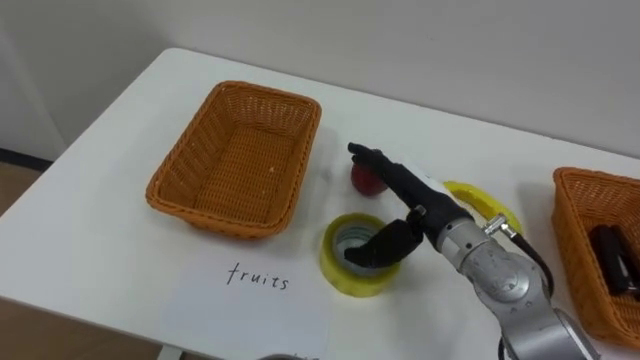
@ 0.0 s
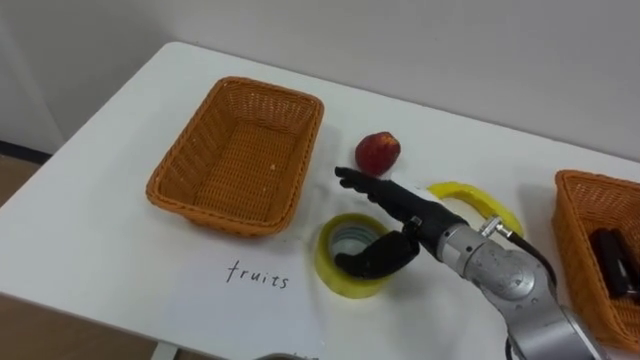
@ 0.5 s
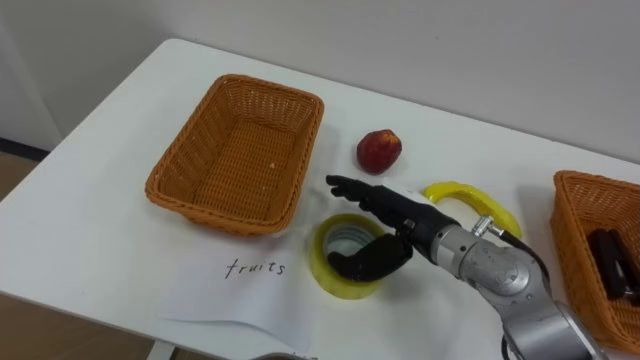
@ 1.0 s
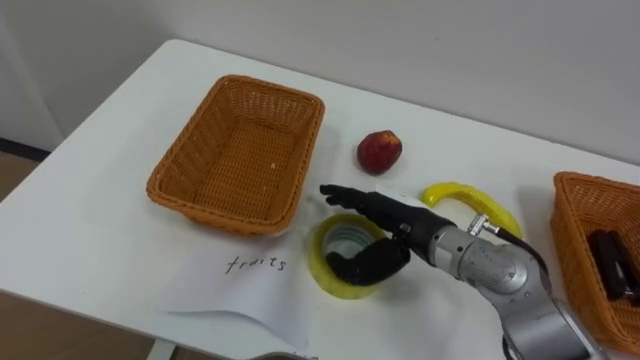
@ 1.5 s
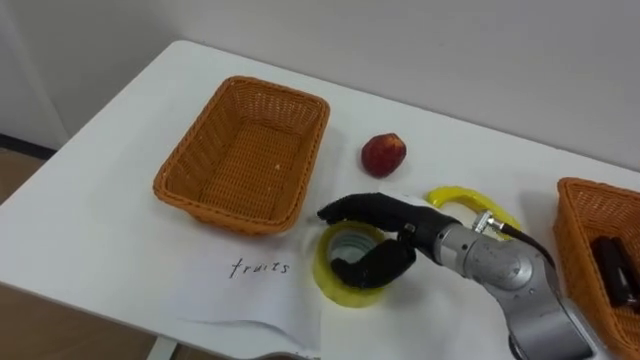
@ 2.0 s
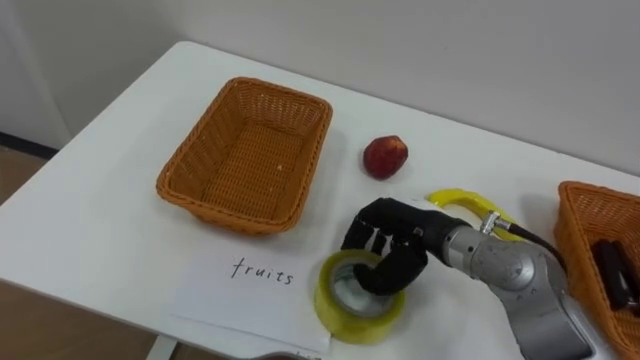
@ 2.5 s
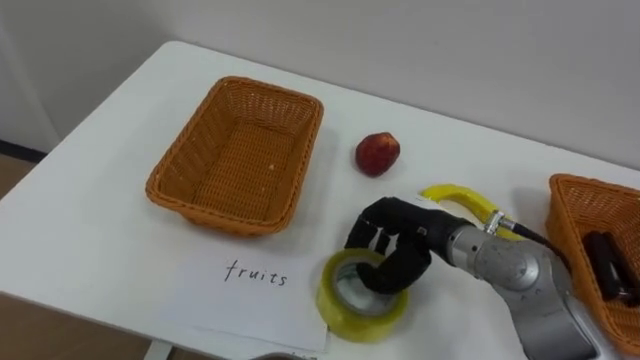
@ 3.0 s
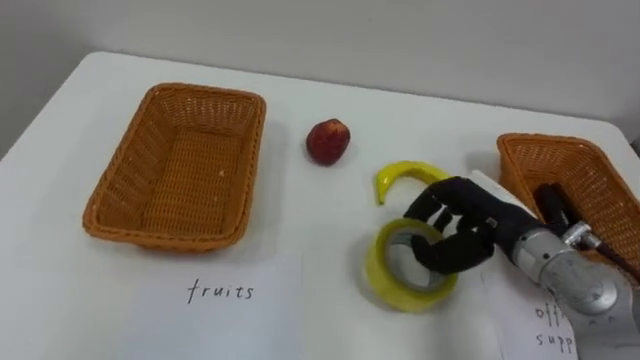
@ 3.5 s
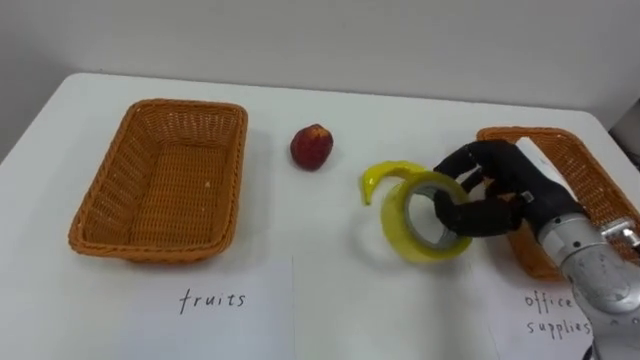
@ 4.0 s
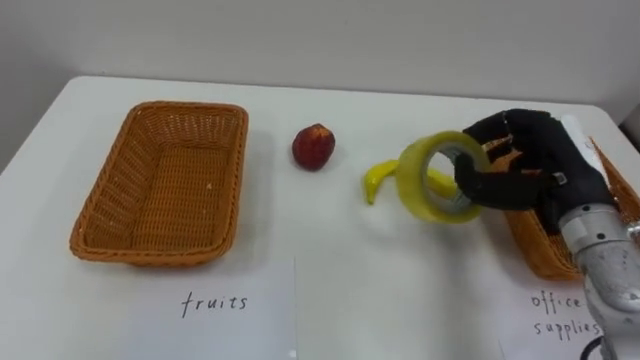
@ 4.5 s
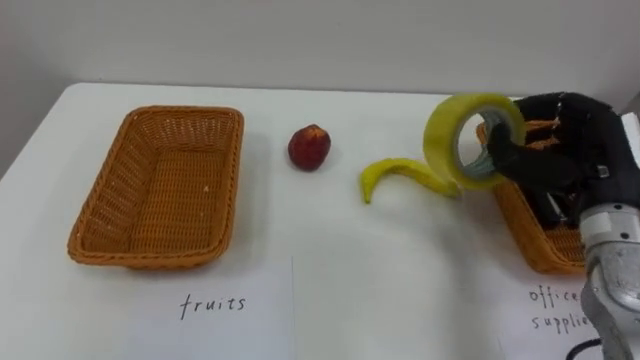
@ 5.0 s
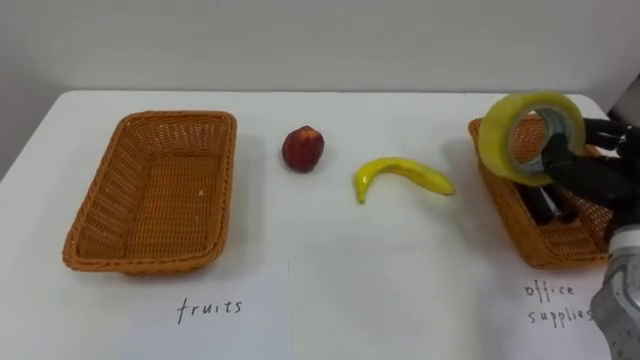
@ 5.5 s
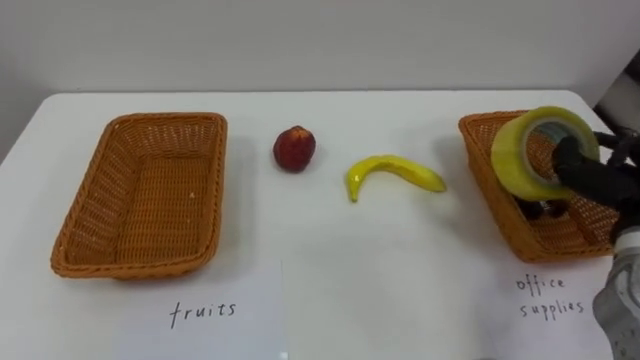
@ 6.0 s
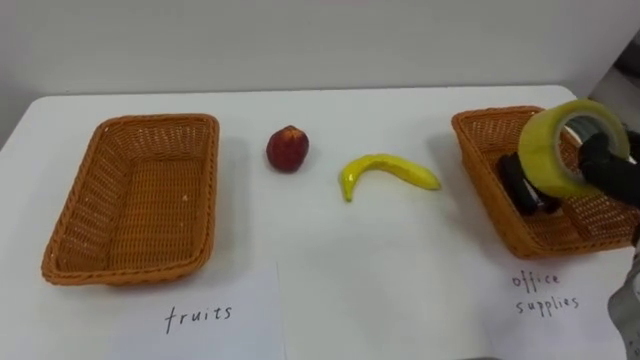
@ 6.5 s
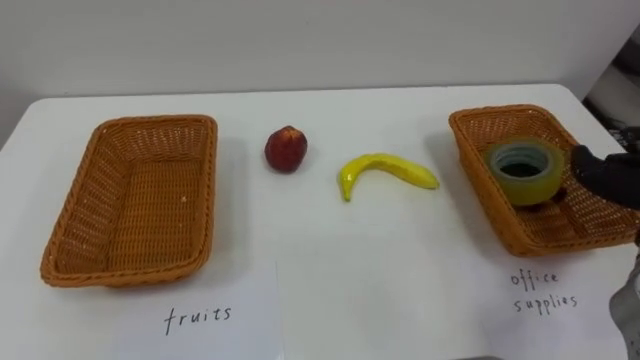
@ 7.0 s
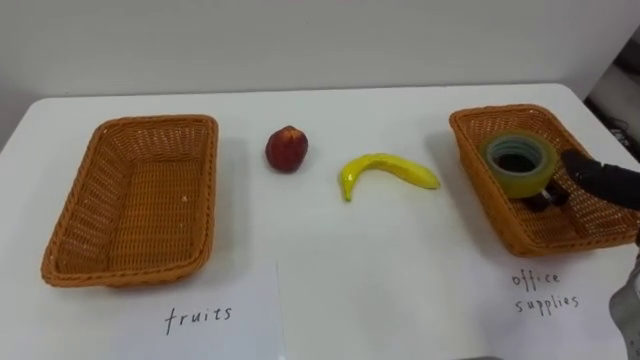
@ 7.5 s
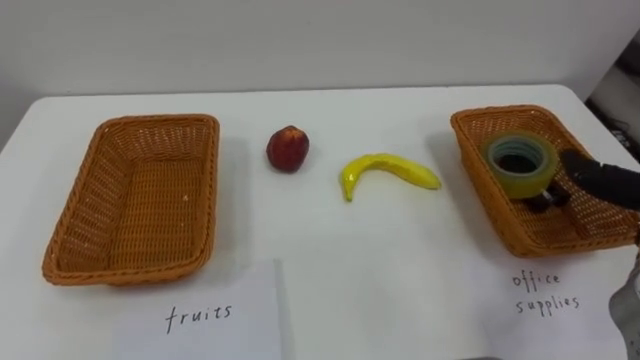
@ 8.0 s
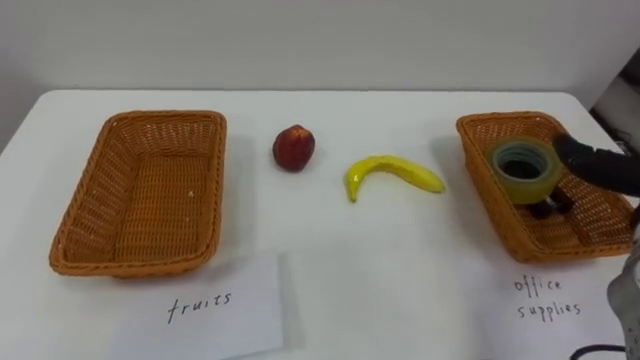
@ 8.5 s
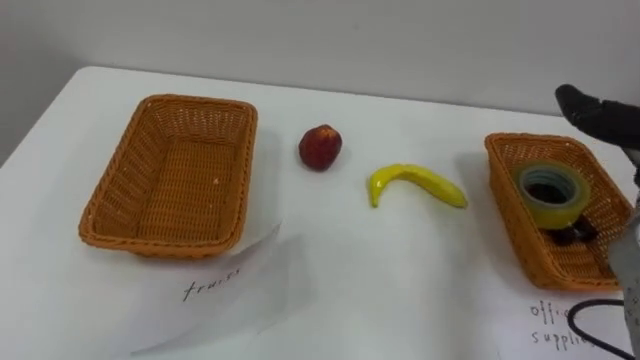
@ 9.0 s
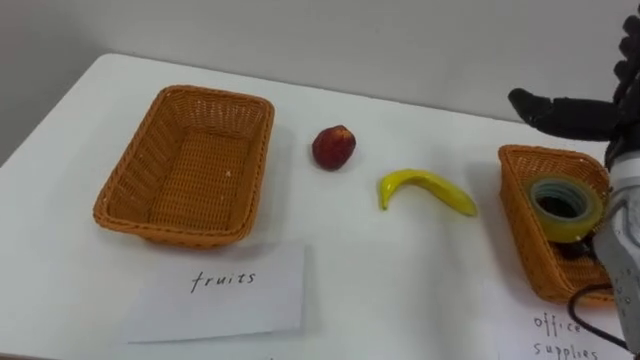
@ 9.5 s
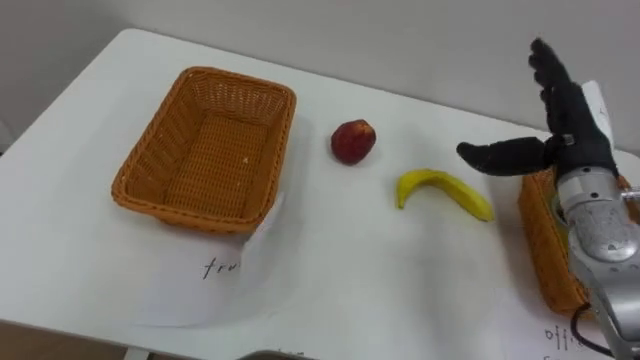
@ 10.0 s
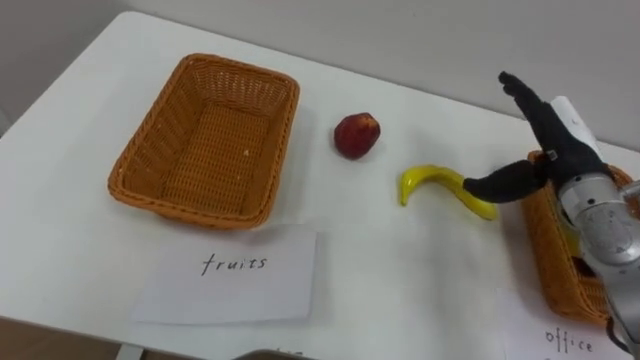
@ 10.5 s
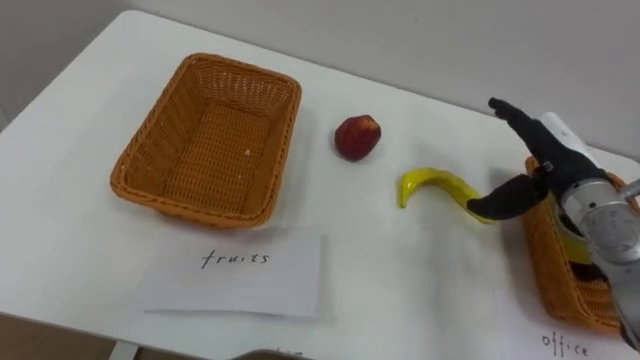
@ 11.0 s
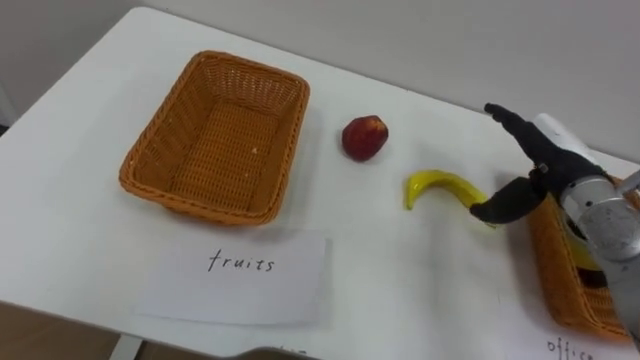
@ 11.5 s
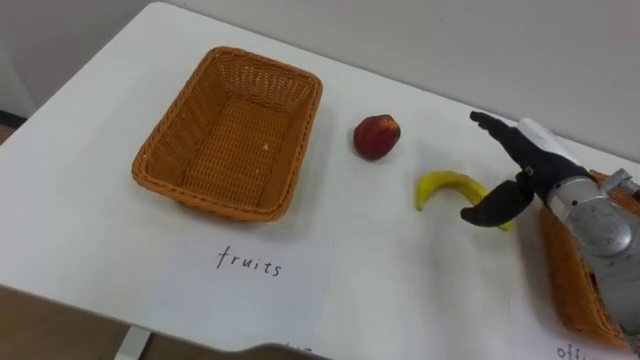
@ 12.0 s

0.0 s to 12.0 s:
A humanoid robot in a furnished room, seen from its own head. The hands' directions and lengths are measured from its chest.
Task of the whole recording: Separate the items on the table and place them into the two baskets.
2.0 to 4.0 s: The right hand moves to the right, about 15 cm, and closes its fingers.

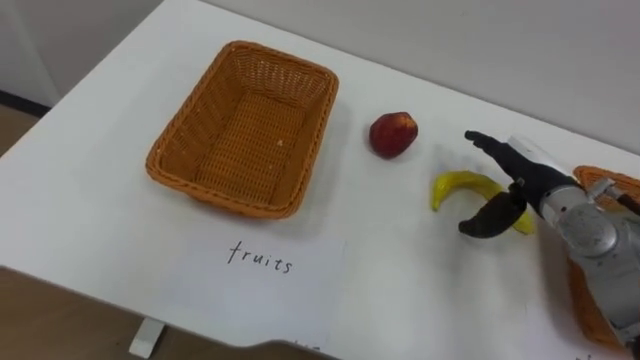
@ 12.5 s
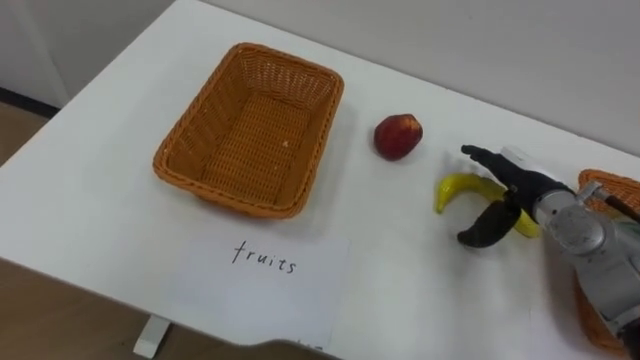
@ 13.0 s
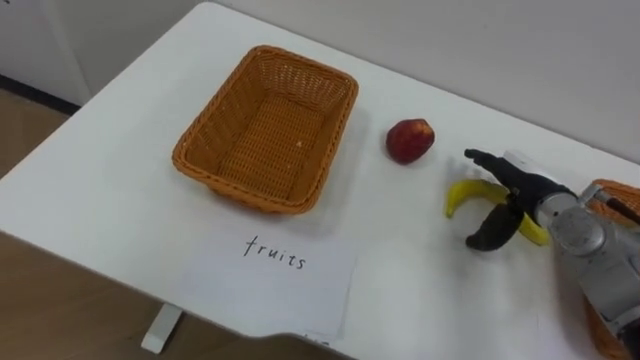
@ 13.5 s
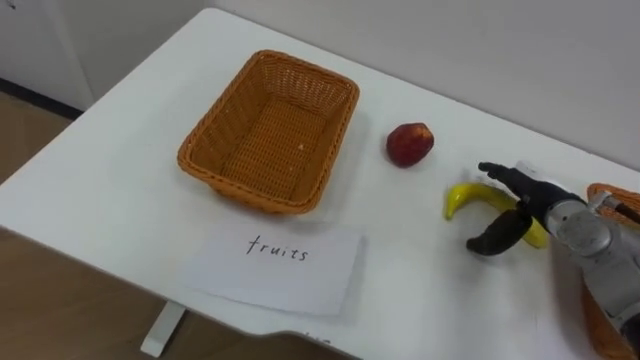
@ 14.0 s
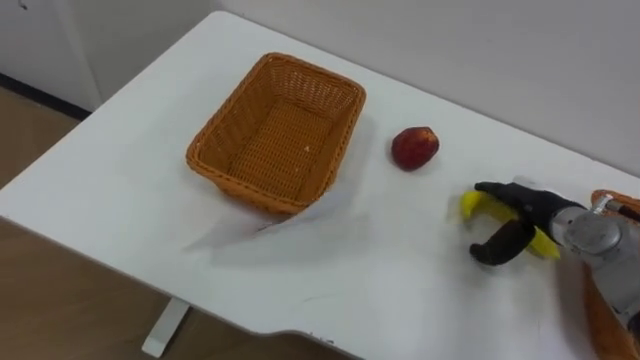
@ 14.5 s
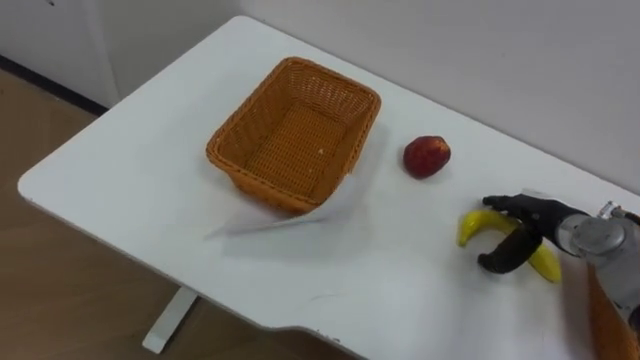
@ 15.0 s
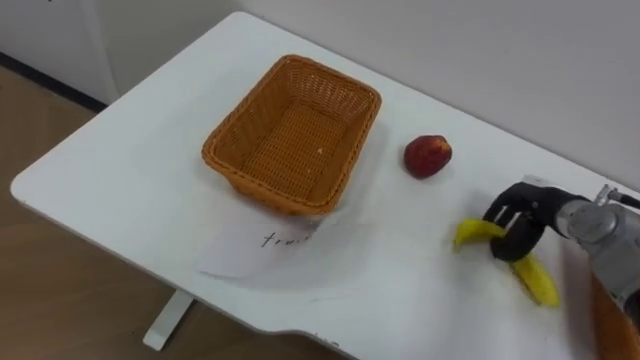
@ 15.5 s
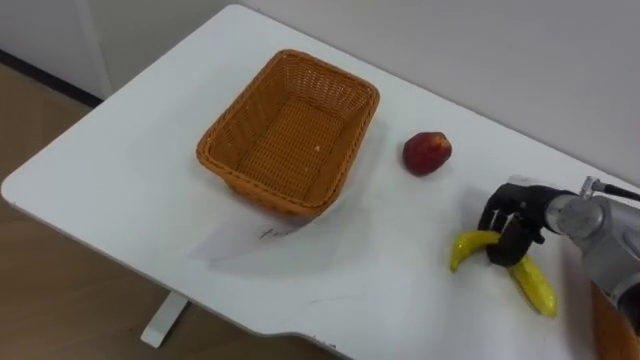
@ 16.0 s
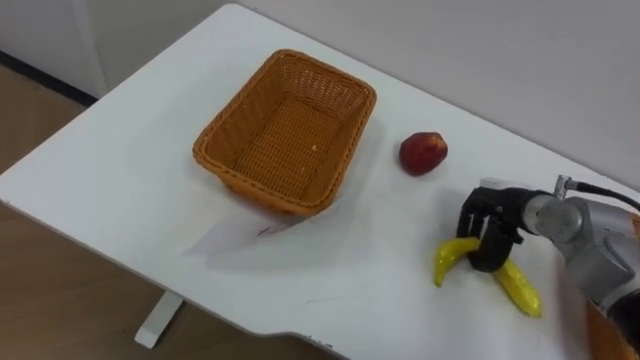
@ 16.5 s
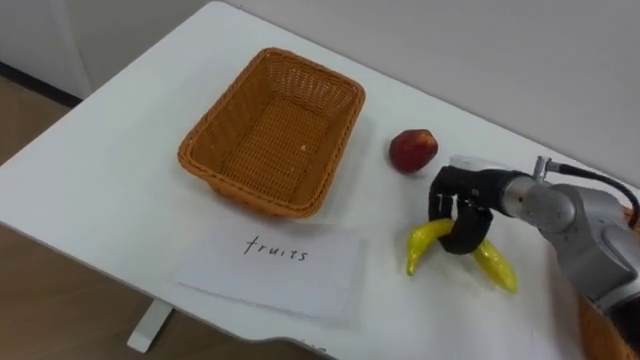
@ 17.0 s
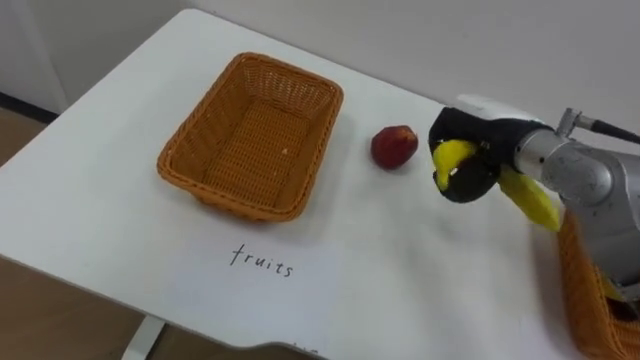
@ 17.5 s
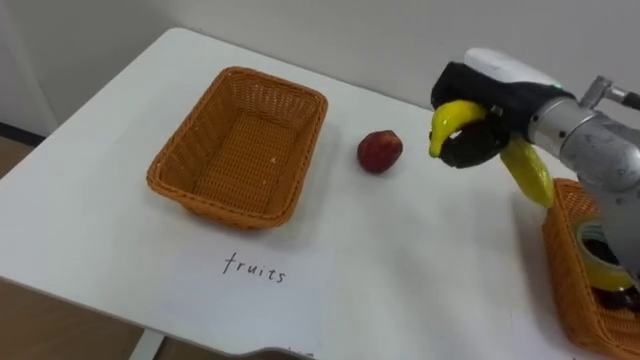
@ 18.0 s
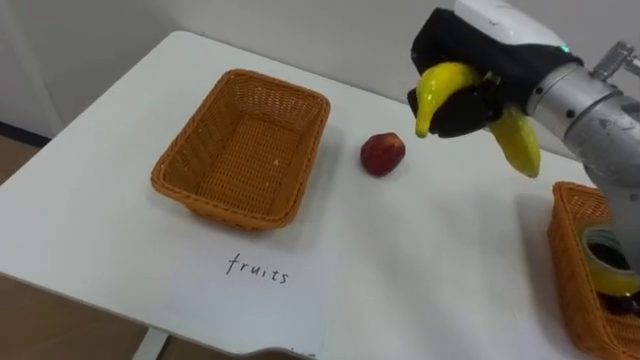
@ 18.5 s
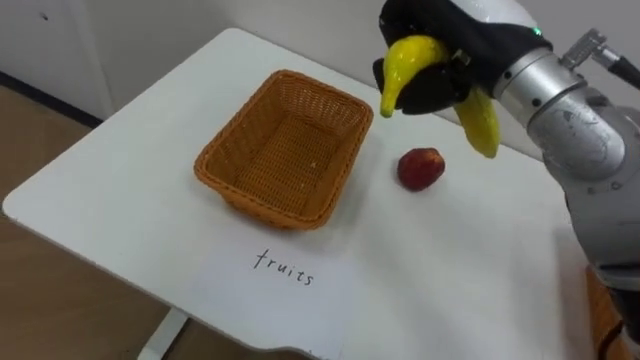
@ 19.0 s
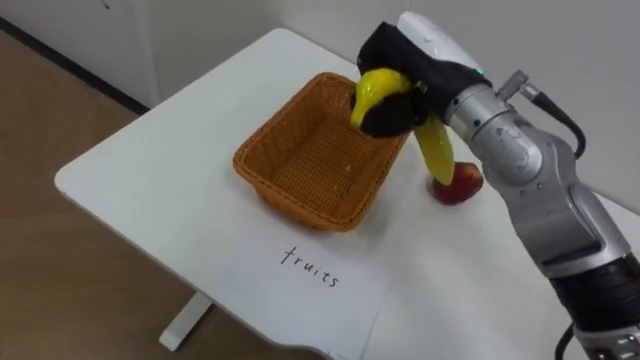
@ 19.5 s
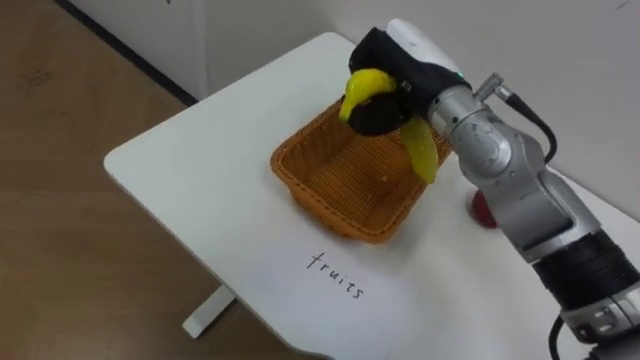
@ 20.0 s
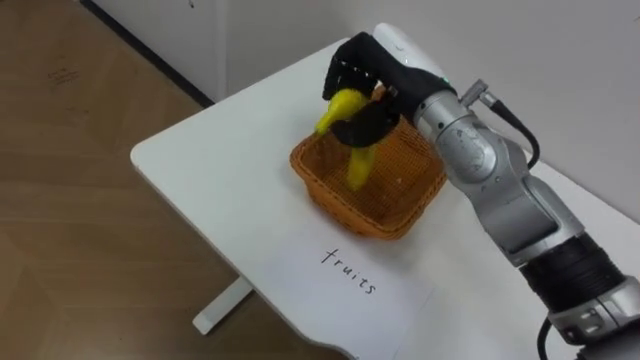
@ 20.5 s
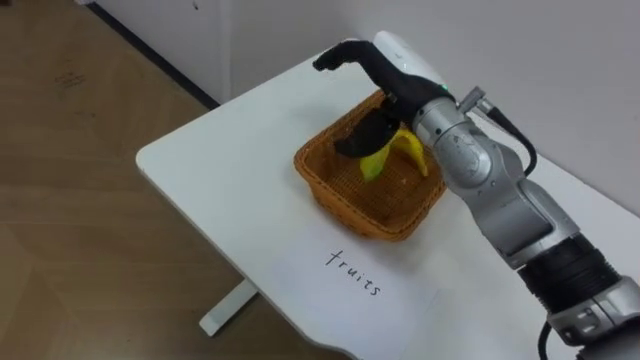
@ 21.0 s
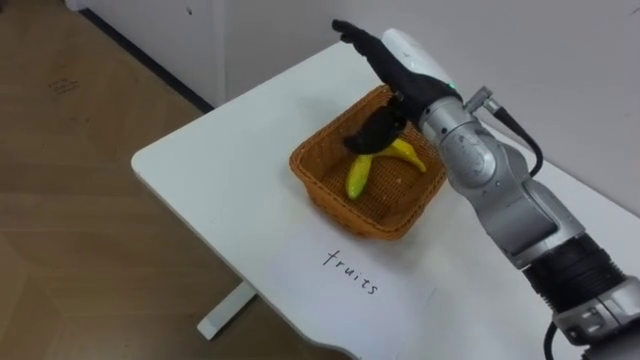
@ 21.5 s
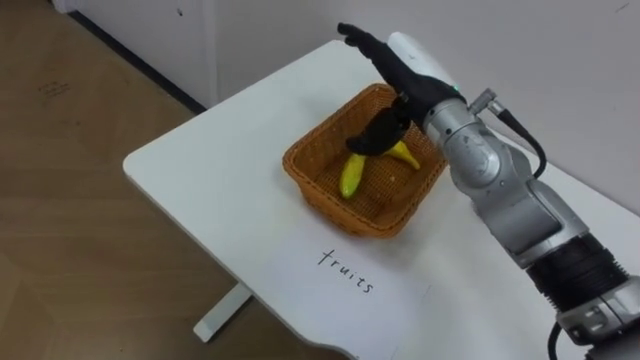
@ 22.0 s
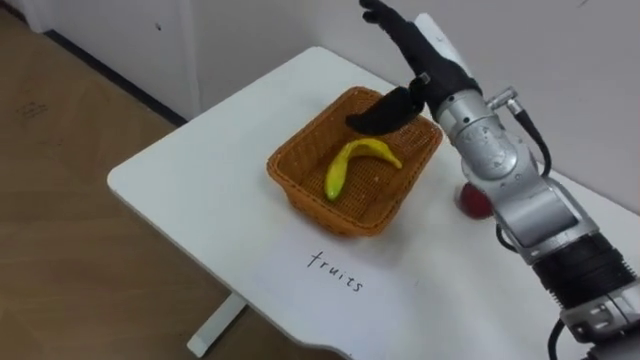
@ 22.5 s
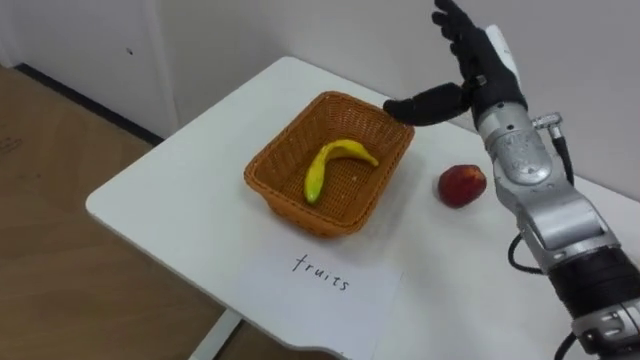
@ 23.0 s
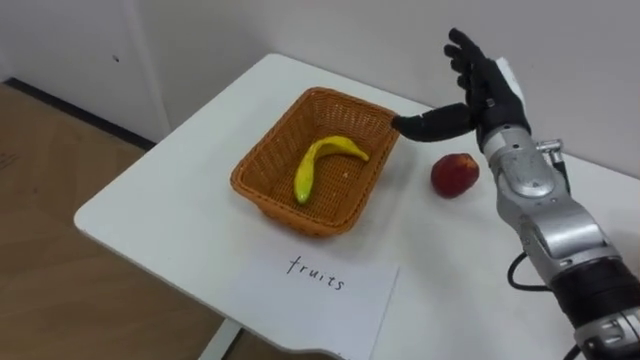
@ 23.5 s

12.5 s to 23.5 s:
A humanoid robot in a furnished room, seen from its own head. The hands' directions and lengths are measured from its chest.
Task of the whole recording: Separate the items on the table and place them into the two baskets.
12.5 to 14.5 s: The right hand moves downward, approximately 5 cm.
14.5 to 16.0 s: The right hand closes its fingers.
16.0 to 18.0 s: The right hand goes approximately 20 cm upward and to the left.
18.0 to 20.0 s: The right hand is displaced to the left by approximately 10 cm.
20.0 to 21.5 s: The right hand opens its fingers.
21.5 to 23.5 s: The right hand goes roughly 10 cm to the right.
